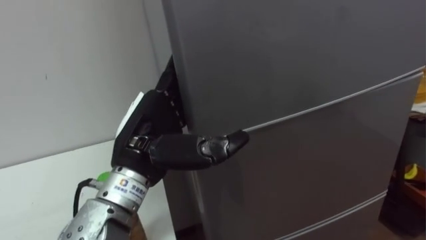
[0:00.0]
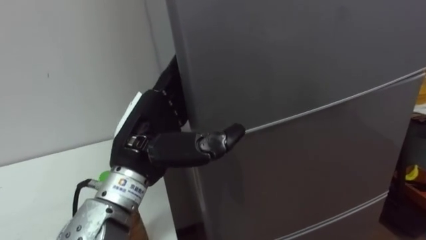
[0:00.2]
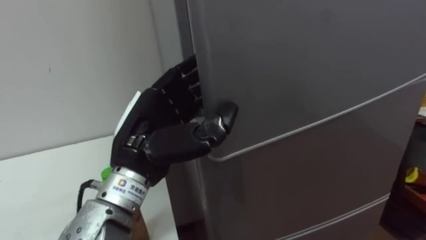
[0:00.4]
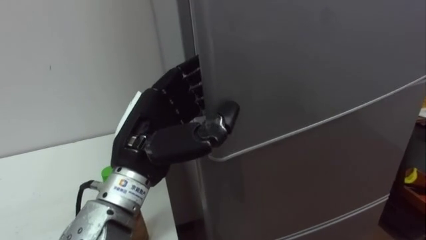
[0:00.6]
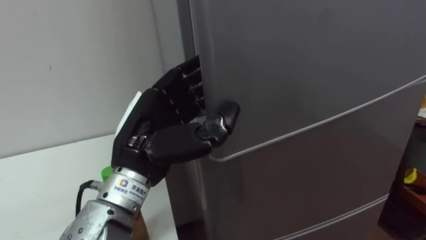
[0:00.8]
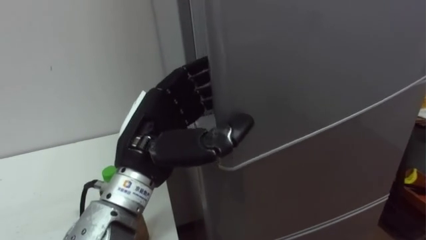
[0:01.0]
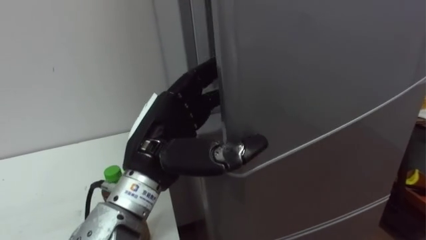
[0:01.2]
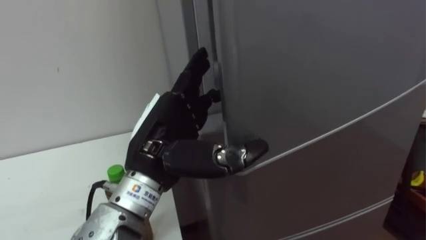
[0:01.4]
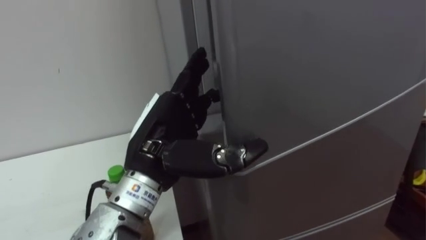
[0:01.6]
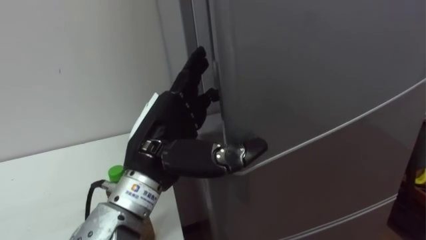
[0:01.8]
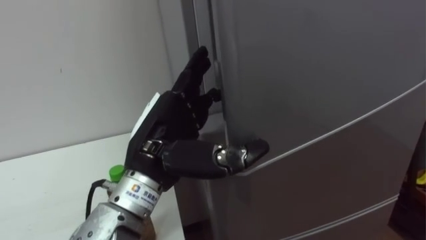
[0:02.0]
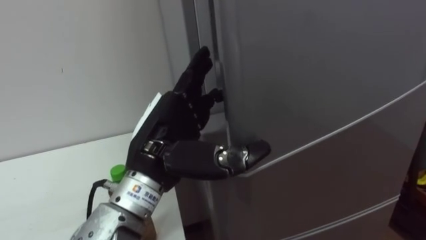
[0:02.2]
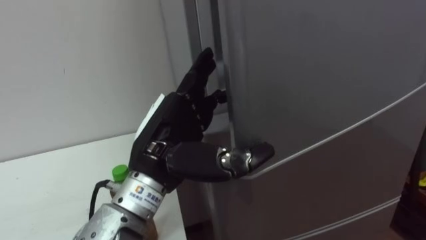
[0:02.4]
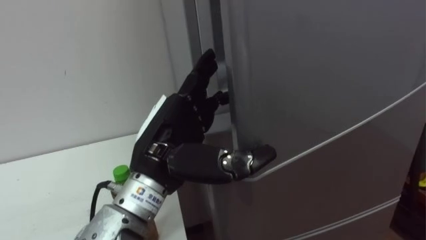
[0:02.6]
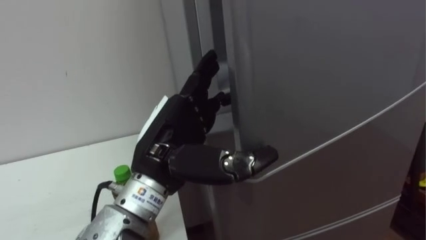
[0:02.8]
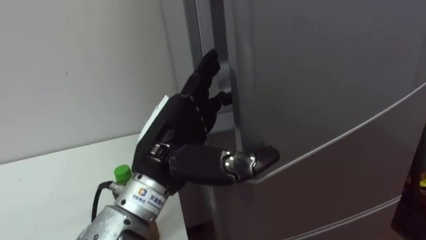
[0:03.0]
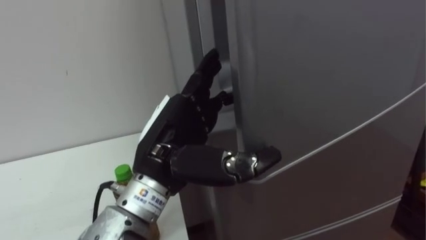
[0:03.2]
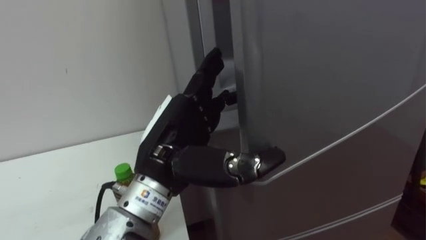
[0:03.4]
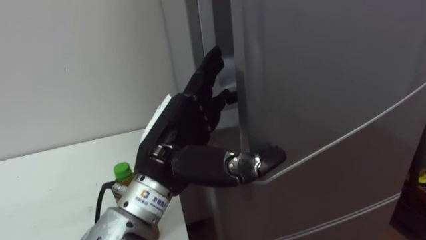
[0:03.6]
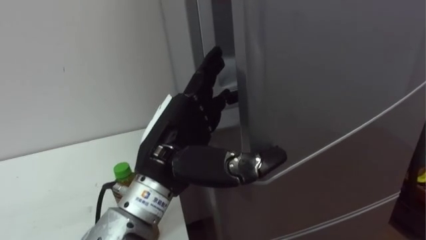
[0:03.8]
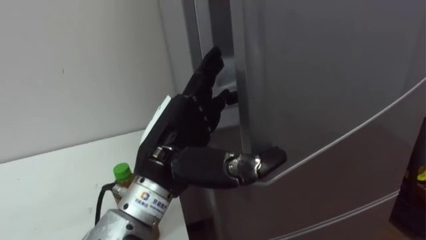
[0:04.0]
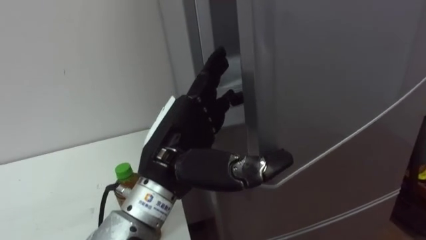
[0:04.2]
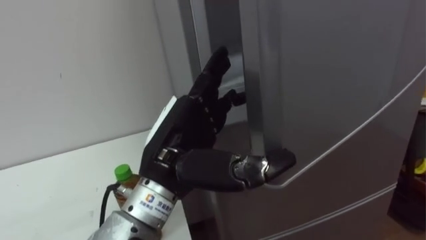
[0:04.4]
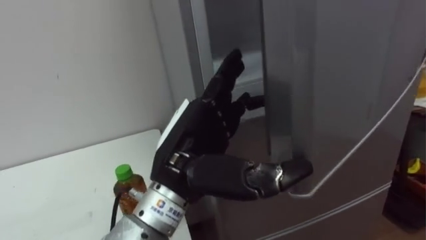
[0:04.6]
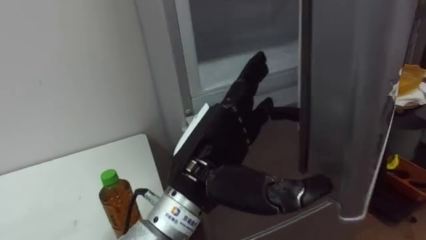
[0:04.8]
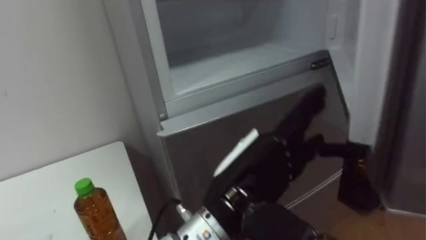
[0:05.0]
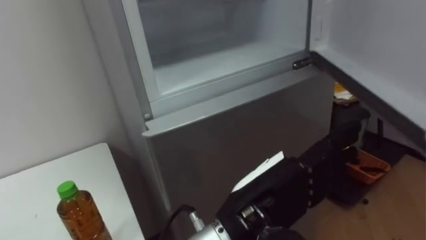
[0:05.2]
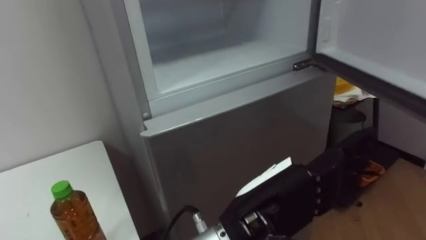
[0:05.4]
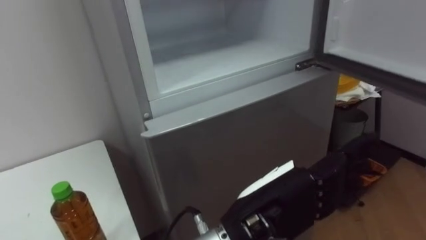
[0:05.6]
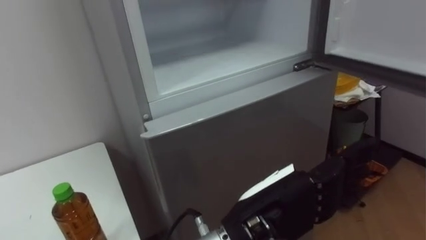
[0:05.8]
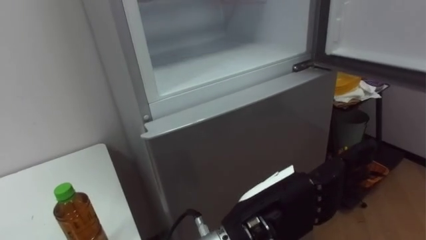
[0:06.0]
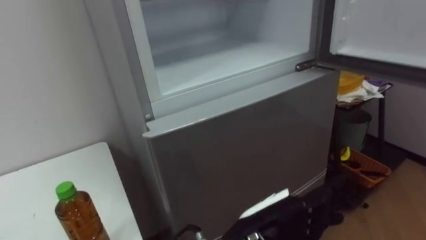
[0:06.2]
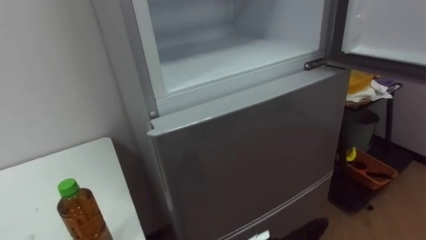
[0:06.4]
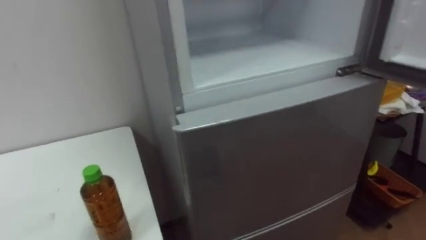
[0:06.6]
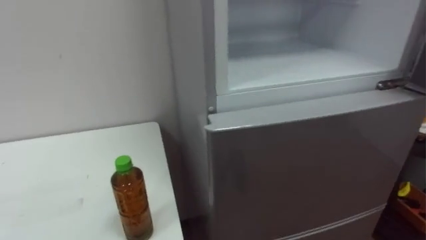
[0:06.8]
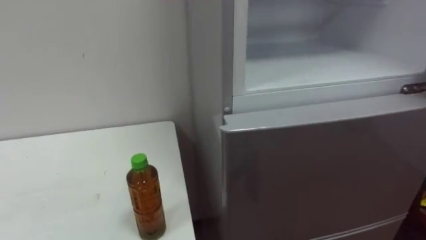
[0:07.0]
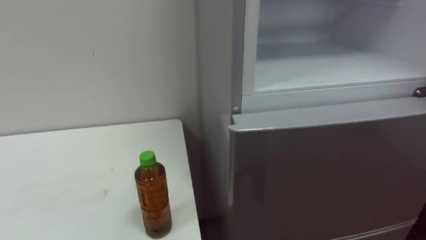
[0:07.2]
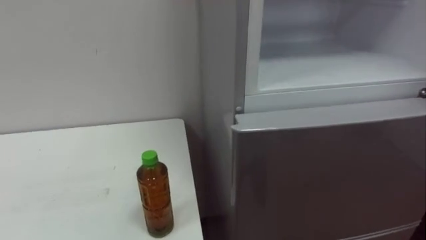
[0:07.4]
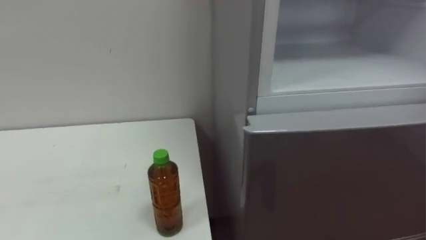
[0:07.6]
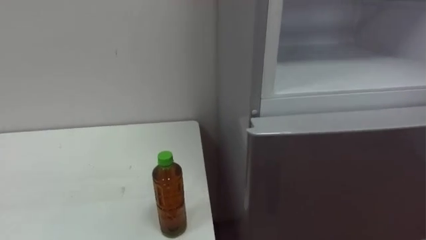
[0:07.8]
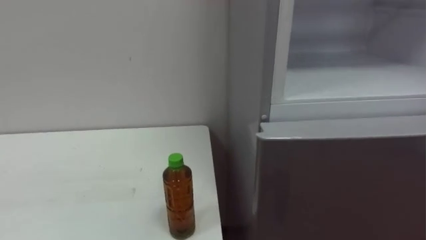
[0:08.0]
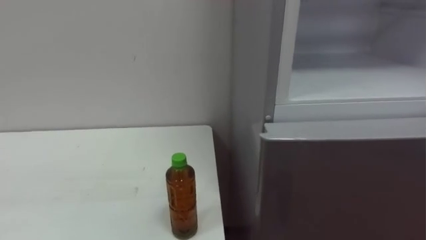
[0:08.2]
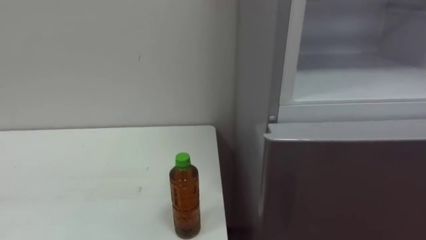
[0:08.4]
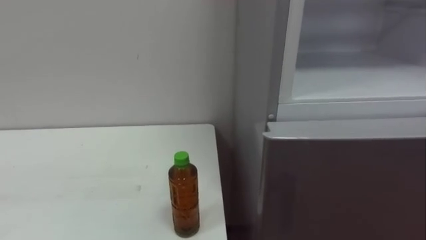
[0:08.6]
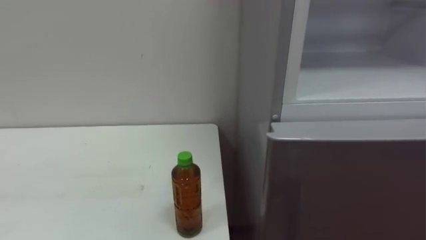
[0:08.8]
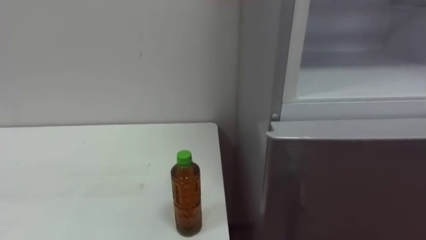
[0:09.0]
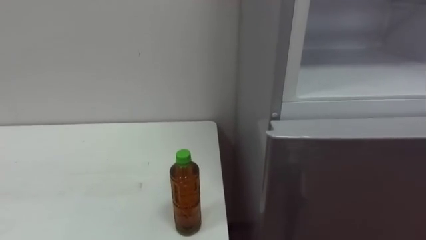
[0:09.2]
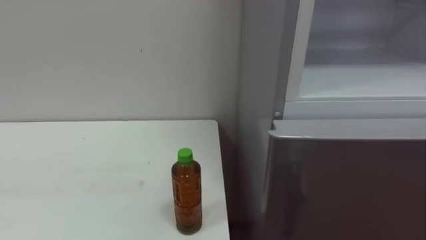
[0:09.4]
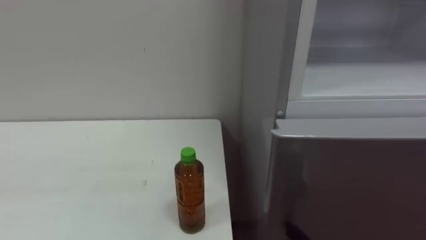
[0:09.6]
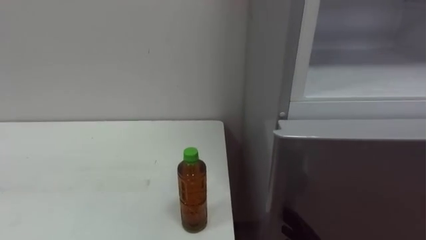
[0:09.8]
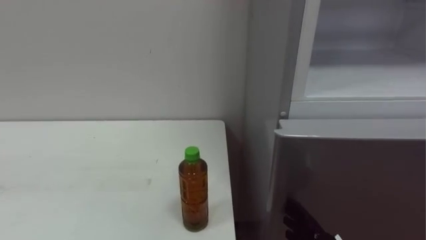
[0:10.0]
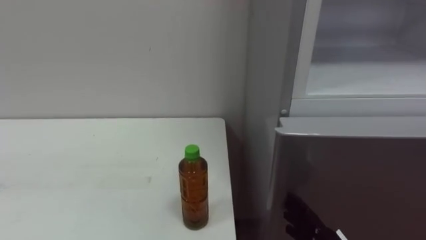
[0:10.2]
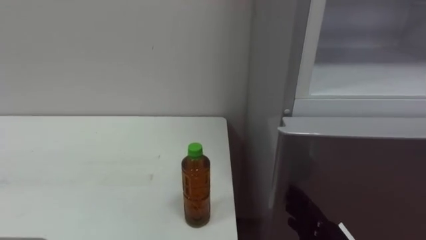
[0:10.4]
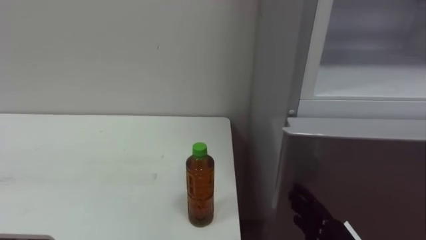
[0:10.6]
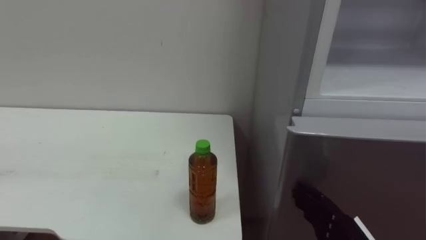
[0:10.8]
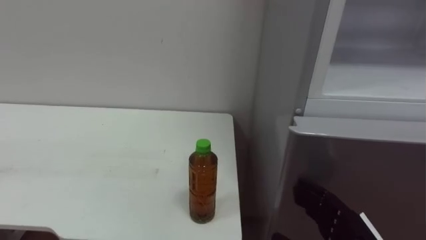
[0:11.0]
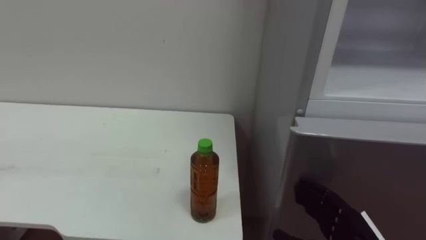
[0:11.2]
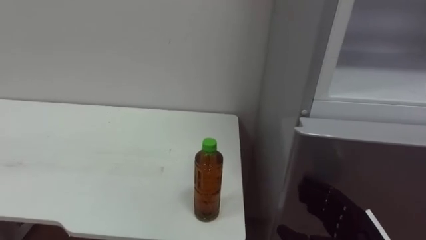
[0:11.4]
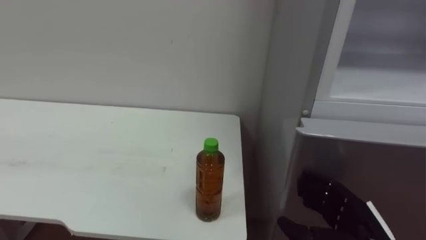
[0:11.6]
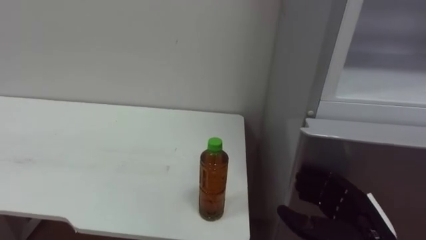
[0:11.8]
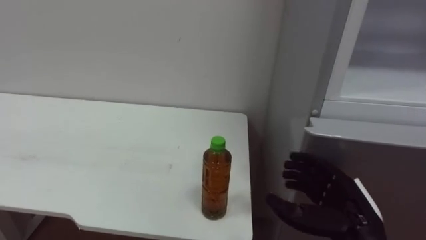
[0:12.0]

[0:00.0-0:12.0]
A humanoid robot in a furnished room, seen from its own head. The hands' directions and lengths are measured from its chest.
Task of the whole recording: Open the upper refrigerator door, put the drink from the table into the refrigerator, and then close the refrigerator door.
0:00.0 to 0:01.6: The left hand closes and opens again.
0:04.4 to 0:06.0: The left hand moves to the right and backward, about 10 cm.

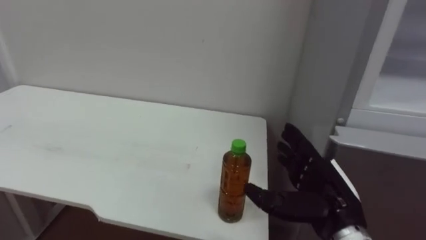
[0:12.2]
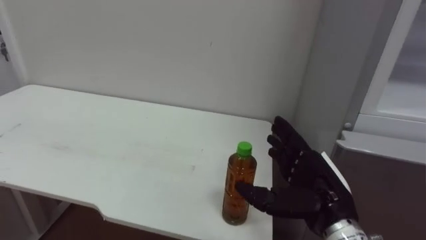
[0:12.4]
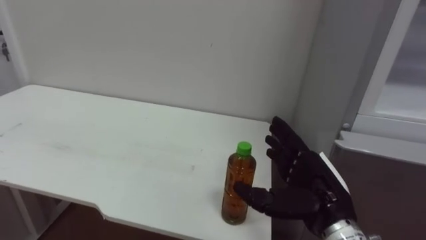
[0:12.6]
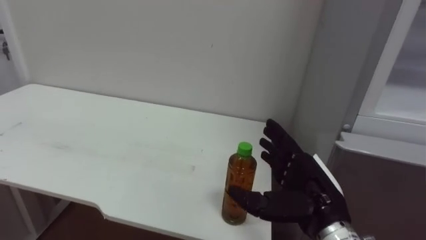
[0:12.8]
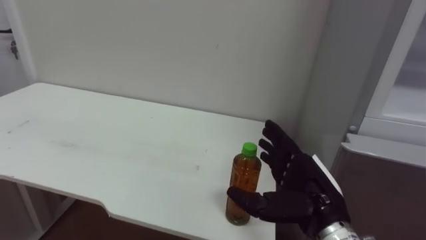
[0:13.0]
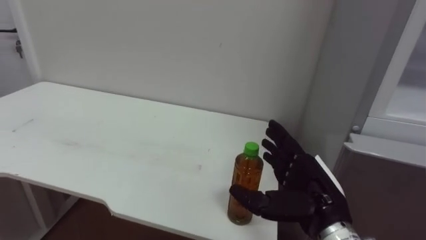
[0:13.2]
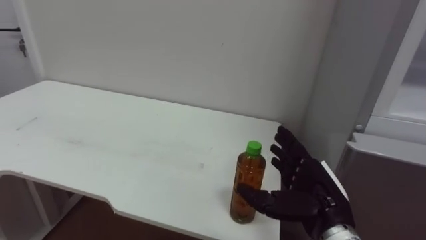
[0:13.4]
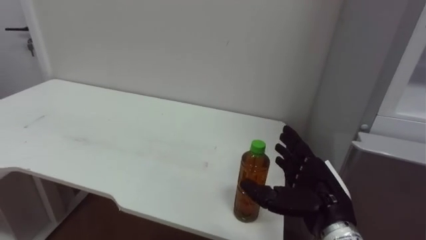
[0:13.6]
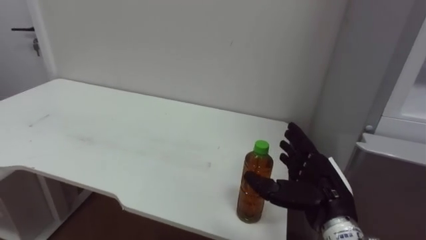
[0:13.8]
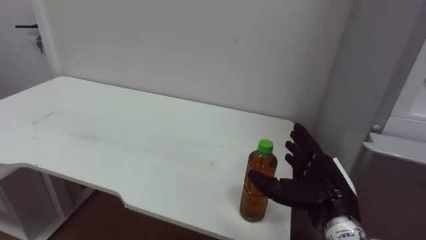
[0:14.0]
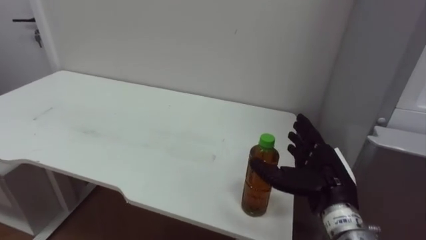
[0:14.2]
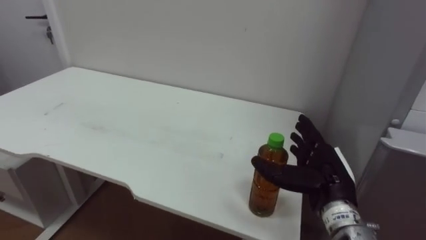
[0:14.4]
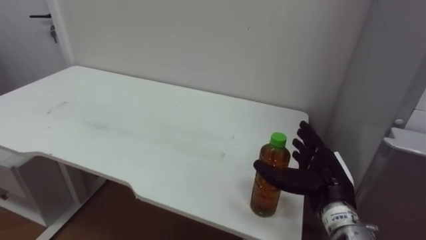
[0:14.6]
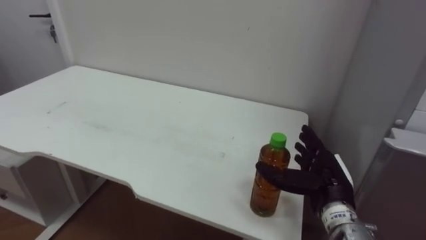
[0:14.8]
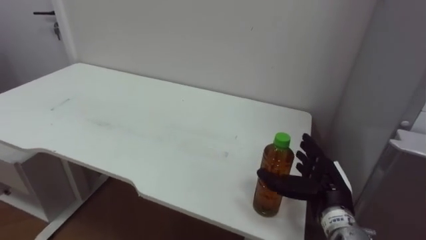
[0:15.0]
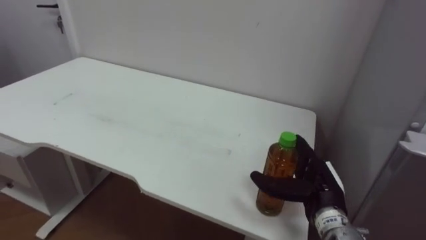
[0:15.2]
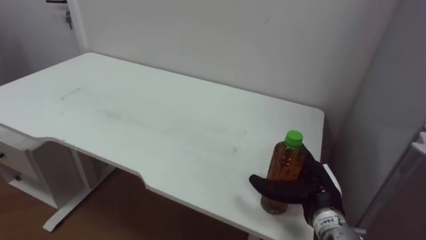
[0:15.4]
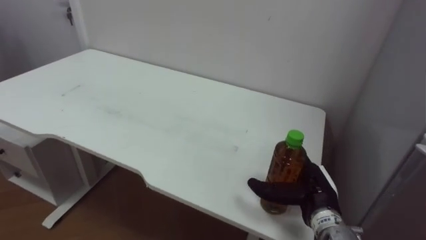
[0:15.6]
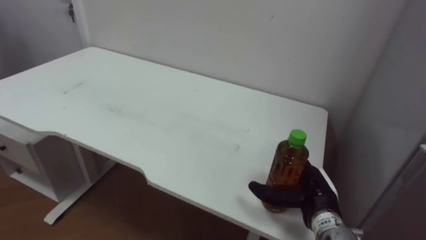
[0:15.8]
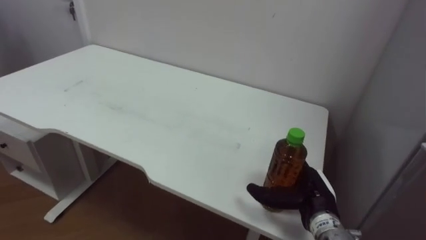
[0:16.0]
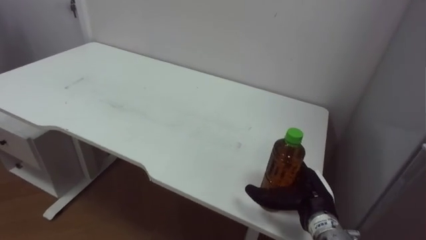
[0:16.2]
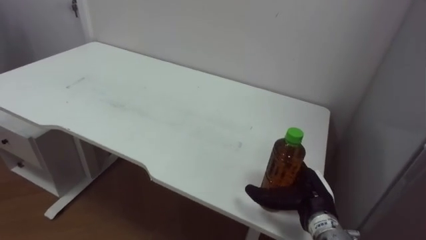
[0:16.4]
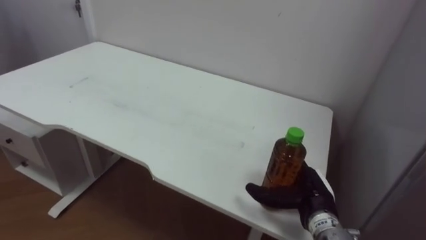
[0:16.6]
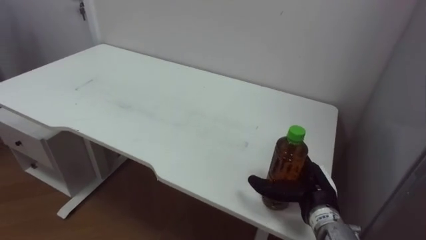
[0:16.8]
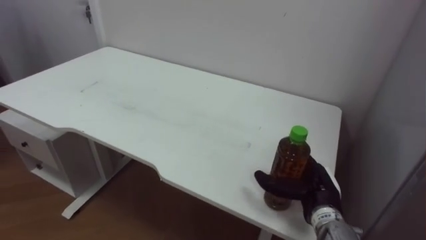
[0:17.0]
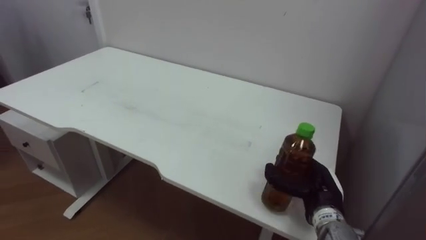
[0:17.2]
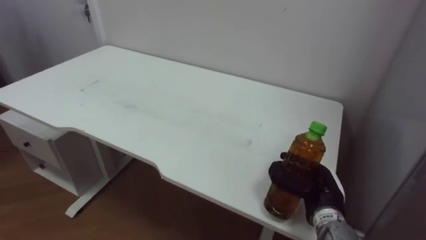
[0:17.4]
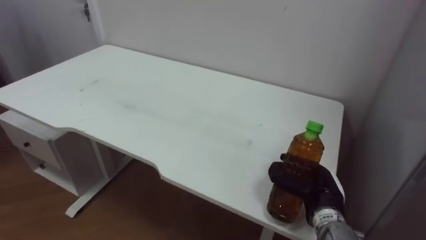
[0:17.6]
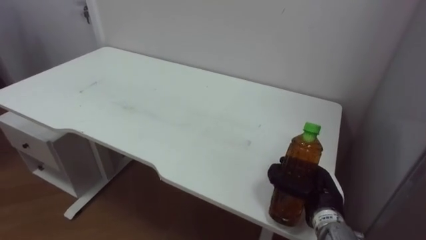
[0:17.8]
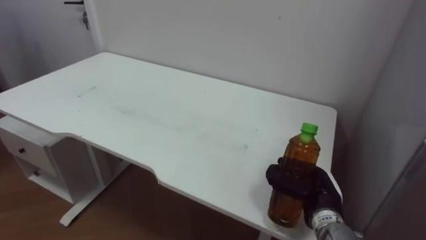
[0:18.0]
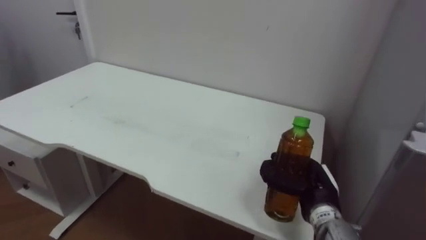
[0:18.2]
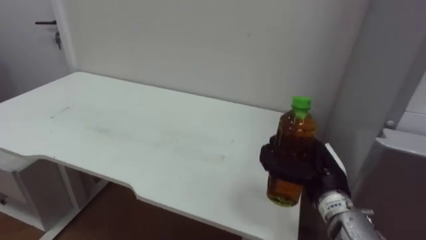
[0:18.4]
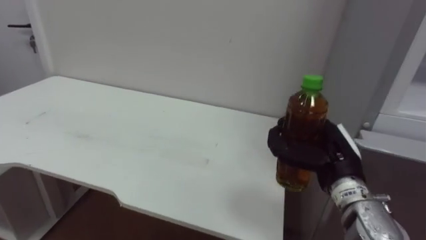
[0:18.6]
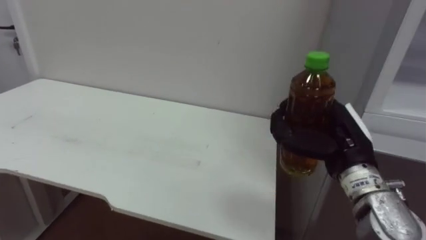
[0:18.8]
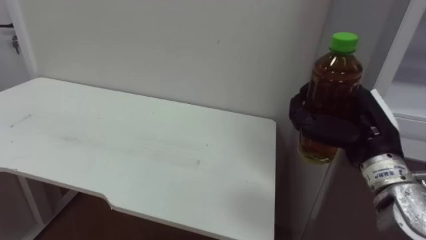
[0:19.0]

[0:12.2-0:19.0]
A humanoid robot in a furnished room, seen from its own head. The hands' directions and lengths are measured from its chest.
Task of the whole recording: Open the upper refrigerator door, put the drink from the table into the refrigerator, and then close the refrigerator door.
0:13.6 to 0:15.0: The right hand shifts by approximately 5 cm.
0:16.2 to 0:17.6: The right hand closes up.
0:17.6 to 0:19.0: The right hand heads upward, covering some 15 cm.
